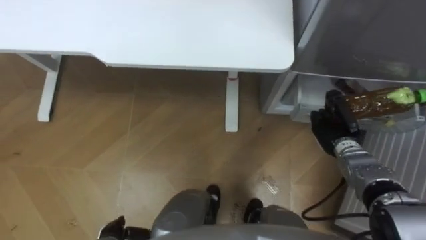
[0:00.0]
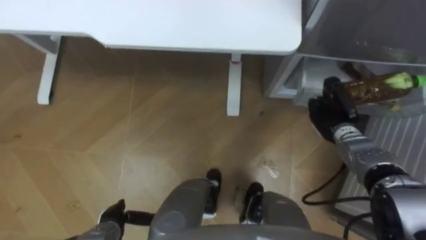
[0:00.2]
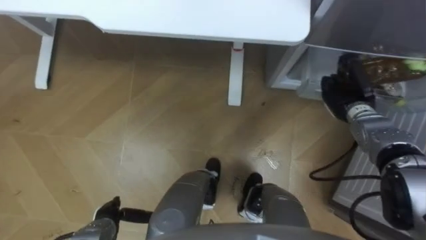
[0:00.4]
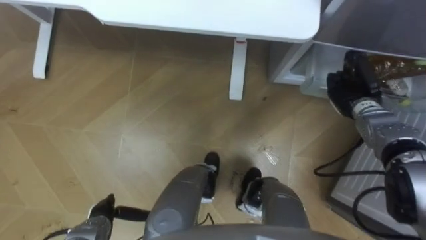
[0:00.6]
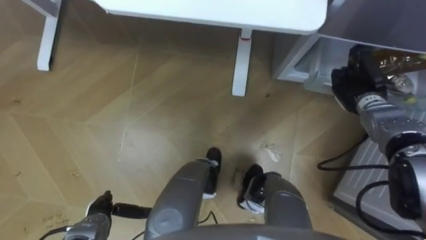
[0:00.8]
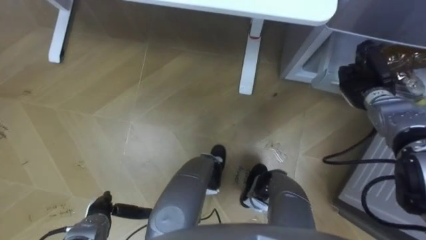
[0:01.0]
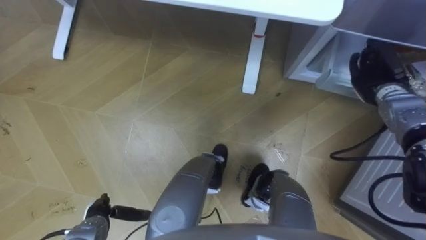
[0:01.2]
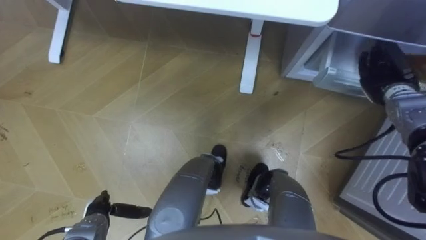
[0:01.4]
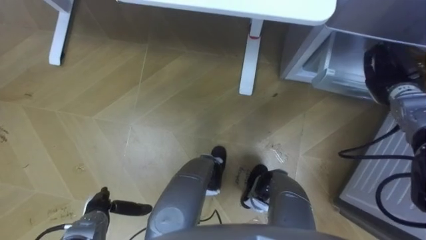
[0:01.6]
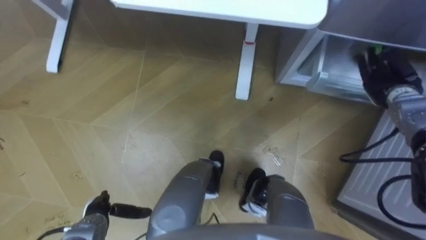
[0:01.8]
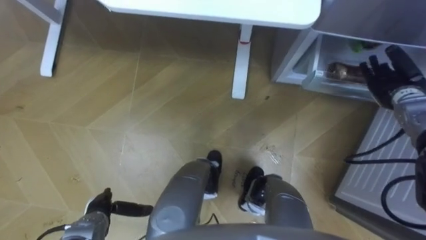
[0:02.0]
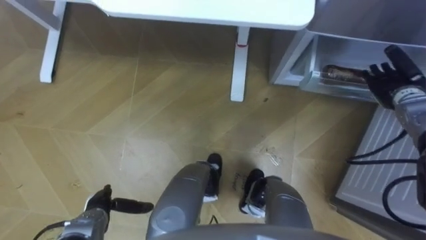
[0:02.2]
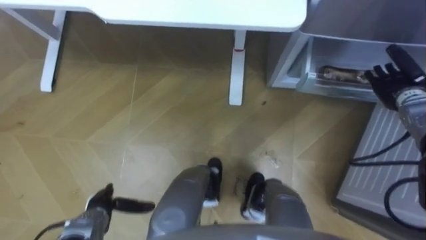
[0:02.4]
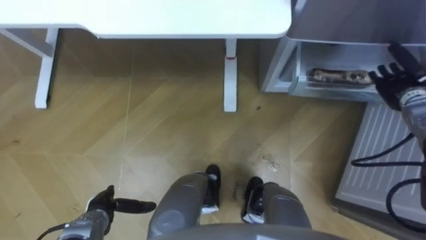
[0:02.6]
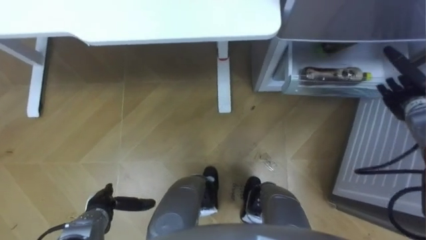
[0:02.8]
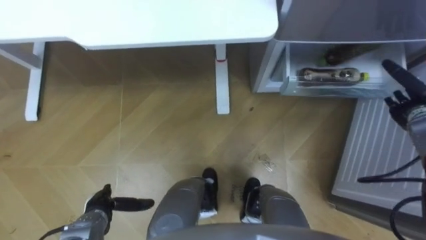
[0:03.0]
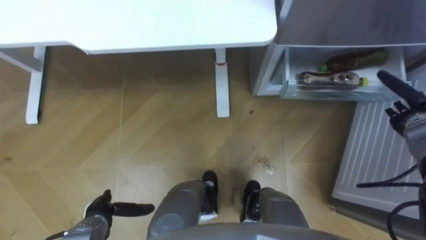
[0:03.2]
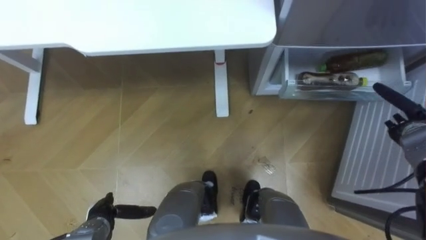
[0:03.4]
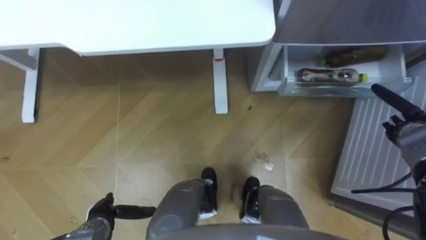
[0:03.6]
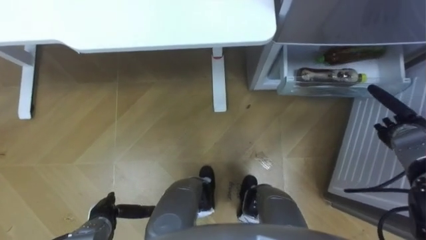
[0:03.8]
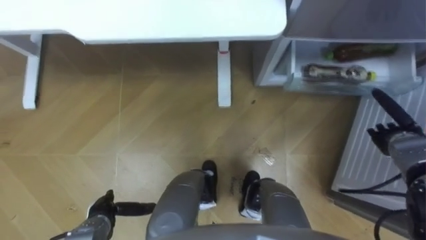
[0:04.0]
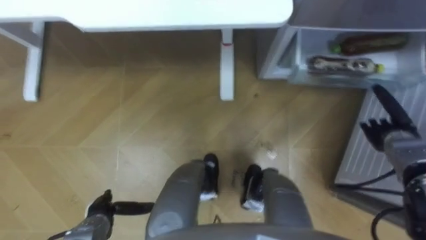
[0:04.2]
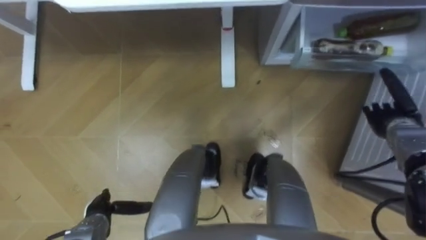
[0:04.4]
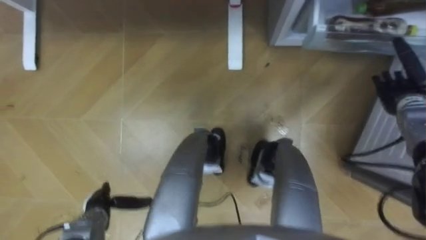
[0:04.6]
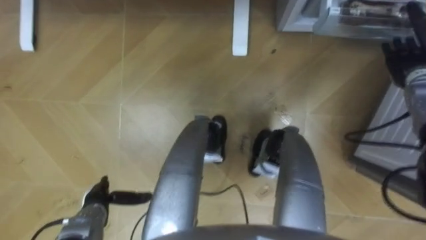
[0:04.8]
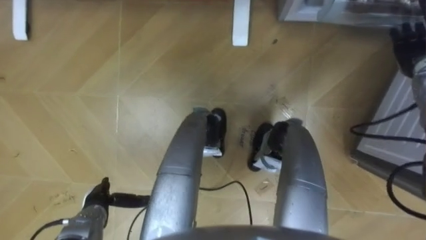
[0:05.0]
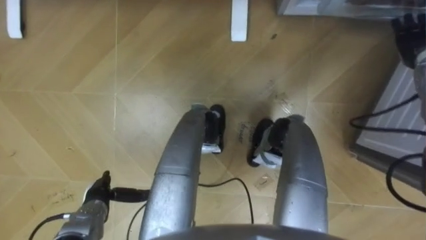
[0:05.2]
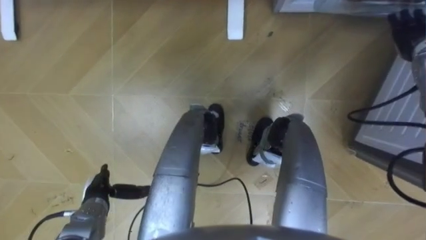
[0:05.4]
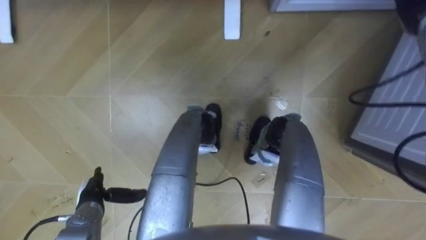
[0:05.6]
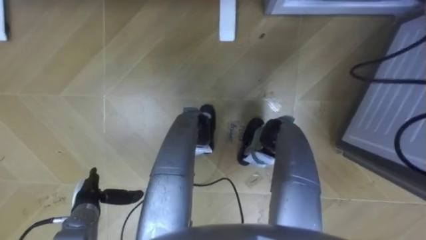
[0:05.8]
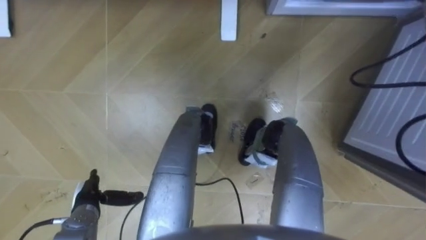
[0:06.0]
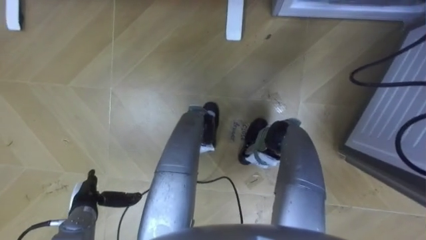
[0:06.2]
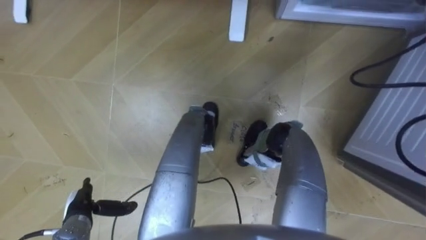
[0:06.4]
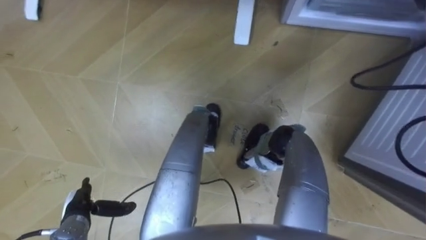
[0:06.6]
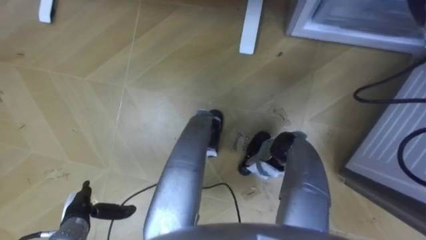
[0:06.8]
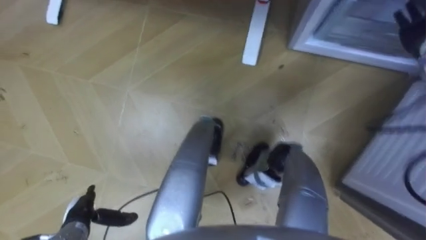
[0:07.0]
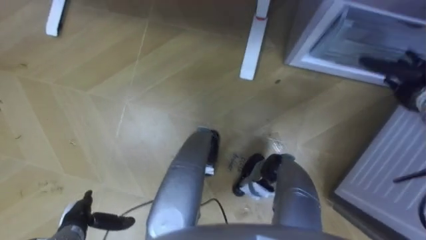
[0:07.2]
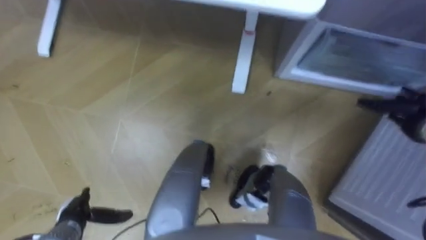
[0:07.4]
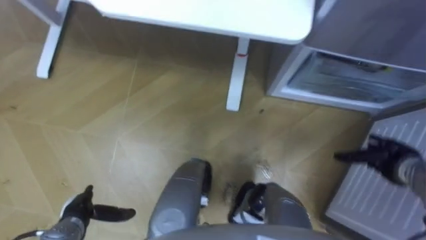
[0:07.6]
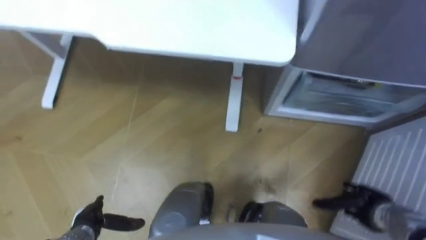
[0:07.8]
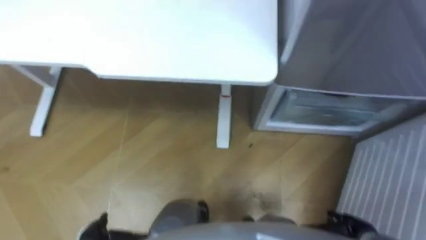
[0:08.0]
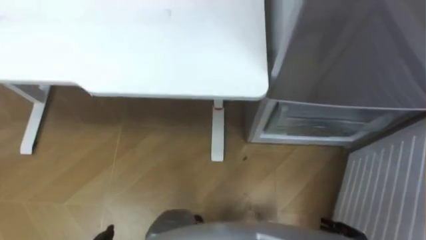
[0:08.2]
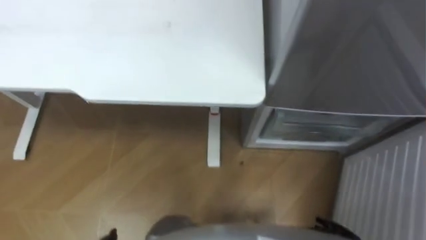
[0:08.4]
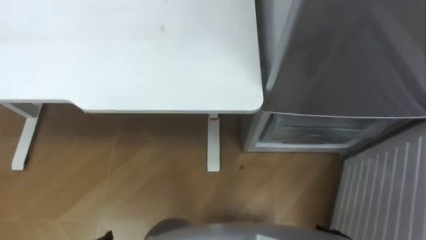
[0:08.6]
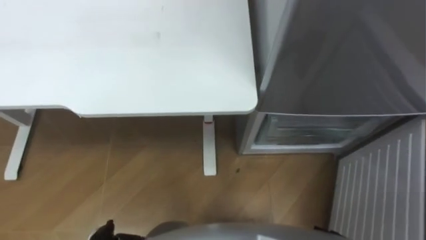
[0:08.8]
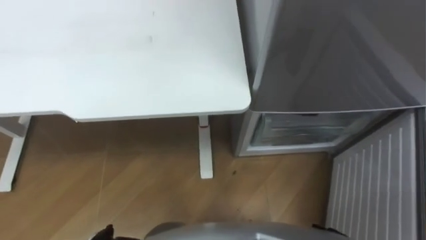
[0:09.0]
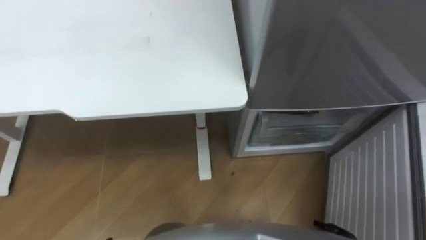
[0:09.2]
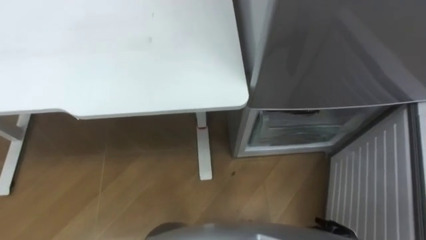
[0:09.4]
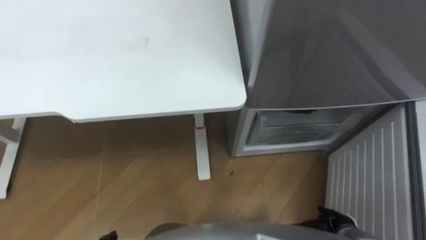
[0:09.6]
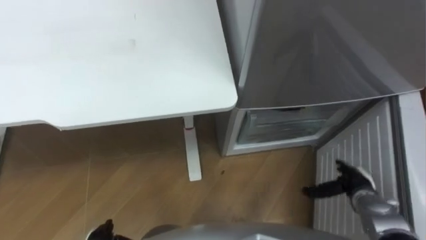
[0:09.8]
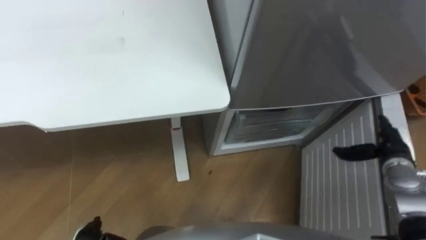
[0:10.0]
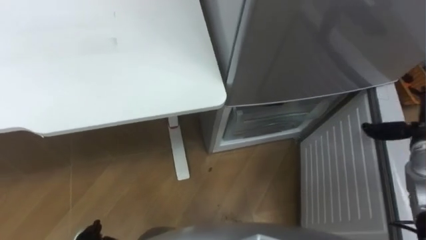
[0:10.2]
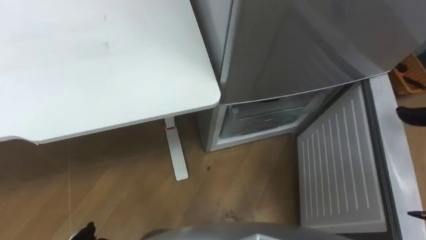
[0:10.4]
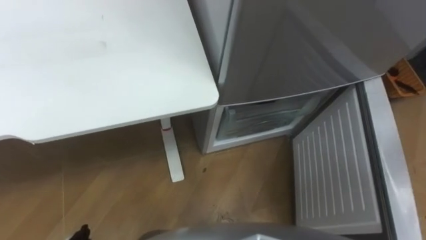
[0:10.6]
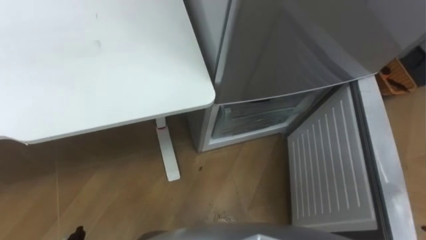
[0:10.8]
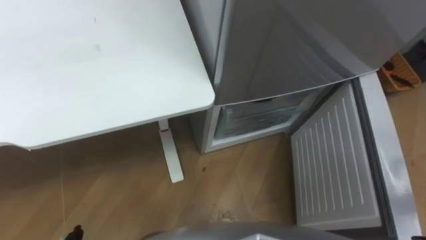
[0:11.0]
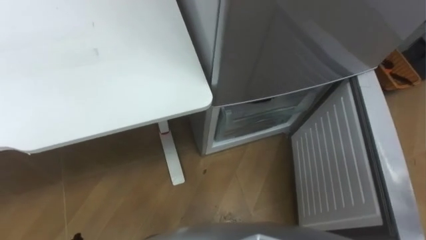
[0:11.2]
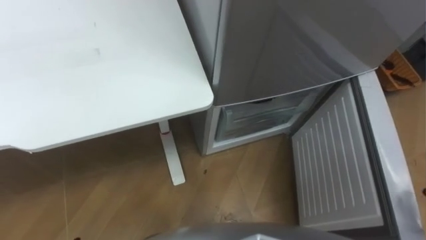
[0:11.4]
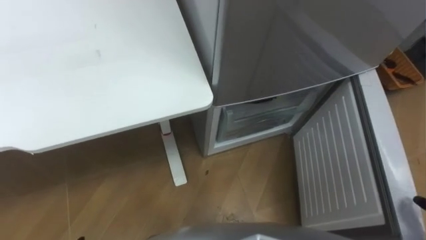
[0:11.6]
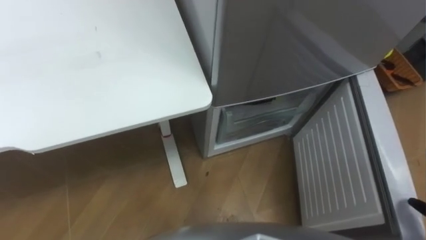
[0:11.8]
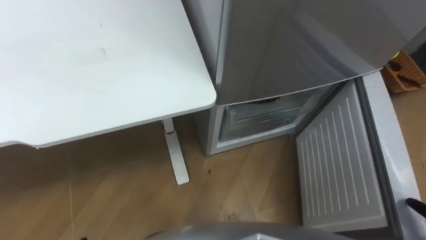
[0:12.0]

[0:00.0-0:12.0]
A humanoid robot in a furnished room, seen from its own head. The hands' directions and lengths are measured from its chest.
Task of the whole recording: Place the drink on the table on the bottom shelf of the refrigerator, then close the drawer and the refrigerator door.
0:00.0 to 0:01.6: The right hand moves upward, to the right and forward, some 15 cm, and opens its fingers.
0:01.6 to 0:03.0: The right hand ends up roughly 5 cm from where it was, and opens its fingers.
0:03.0 to 0:04.4: The right hand changes place by some 5 cm.

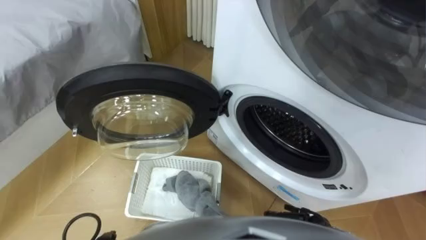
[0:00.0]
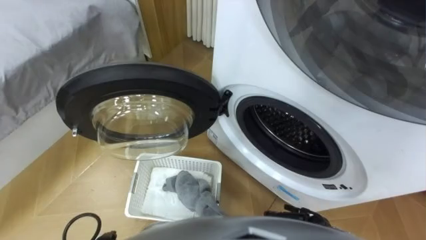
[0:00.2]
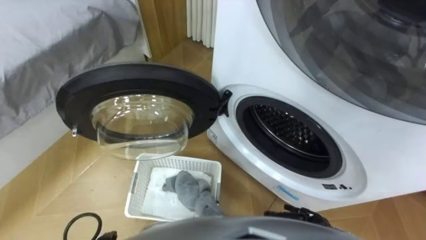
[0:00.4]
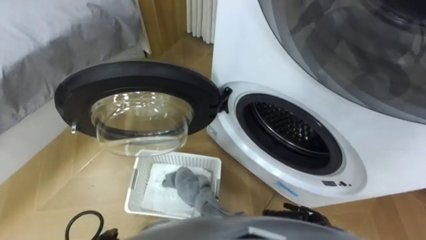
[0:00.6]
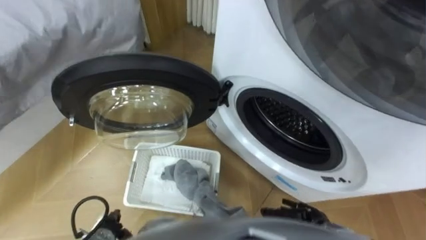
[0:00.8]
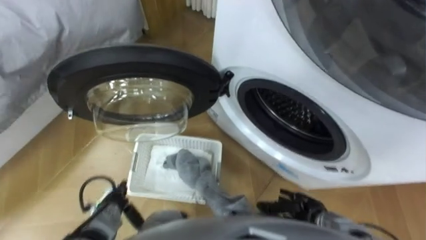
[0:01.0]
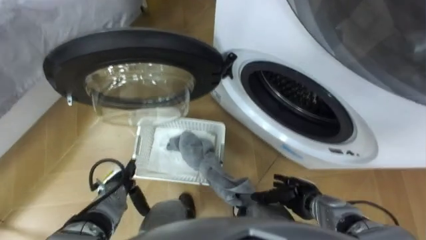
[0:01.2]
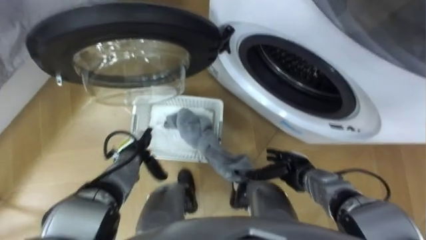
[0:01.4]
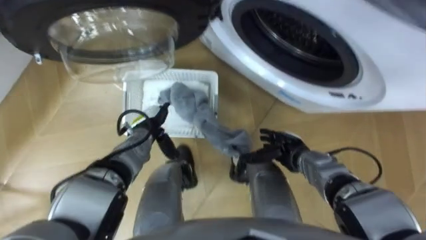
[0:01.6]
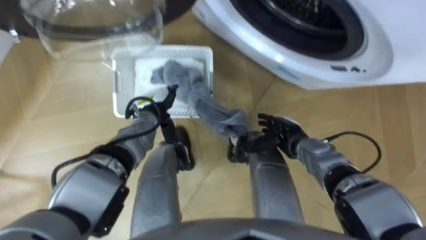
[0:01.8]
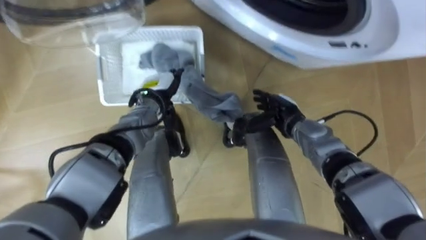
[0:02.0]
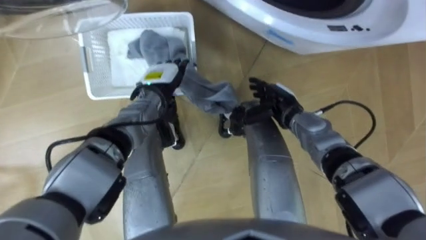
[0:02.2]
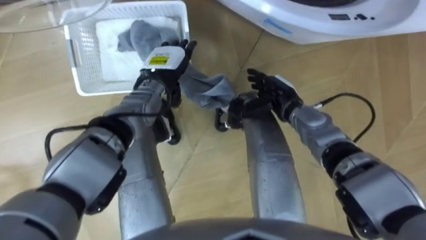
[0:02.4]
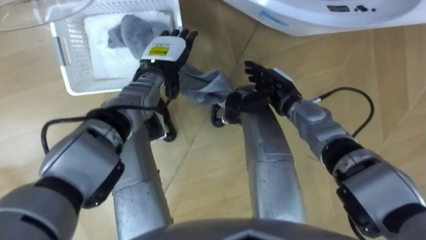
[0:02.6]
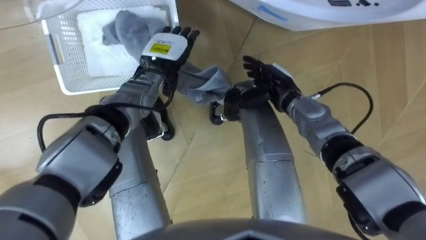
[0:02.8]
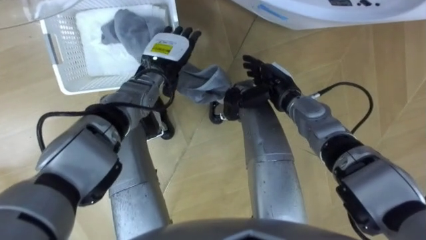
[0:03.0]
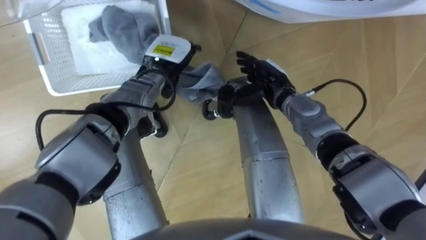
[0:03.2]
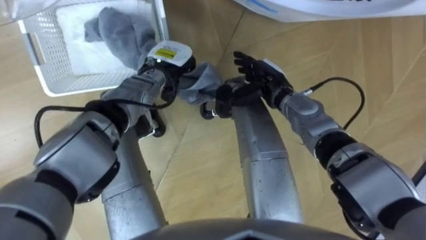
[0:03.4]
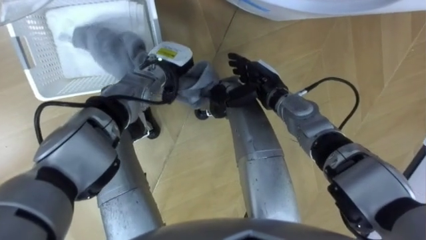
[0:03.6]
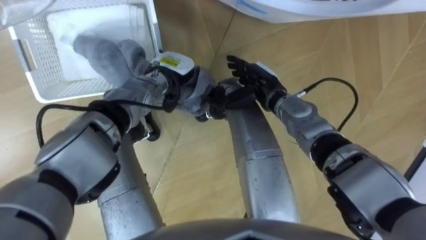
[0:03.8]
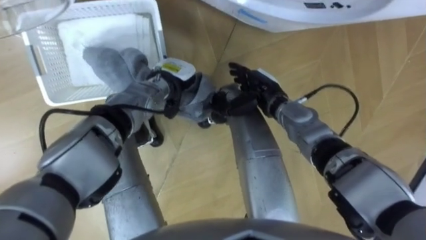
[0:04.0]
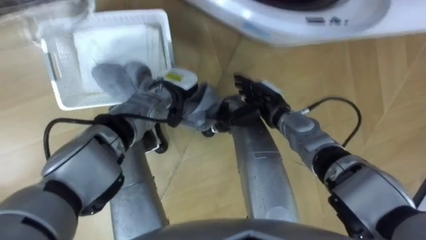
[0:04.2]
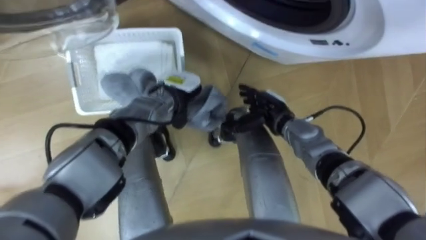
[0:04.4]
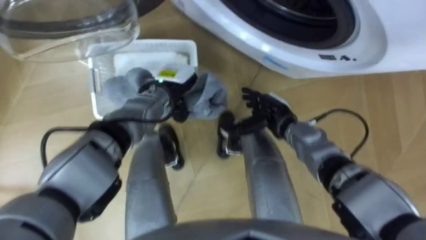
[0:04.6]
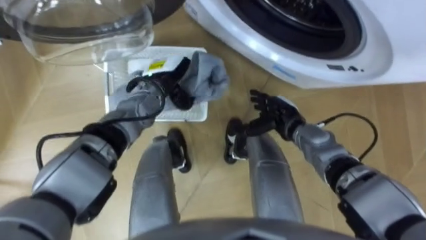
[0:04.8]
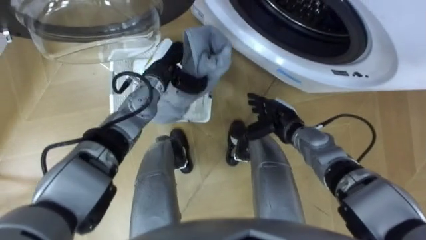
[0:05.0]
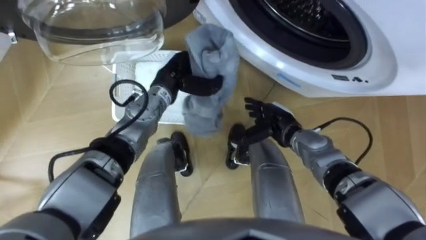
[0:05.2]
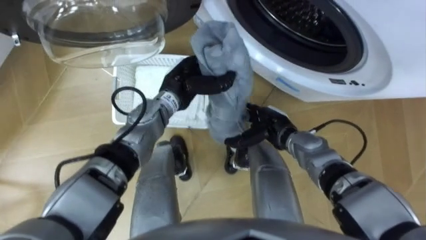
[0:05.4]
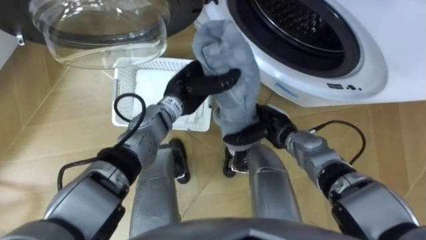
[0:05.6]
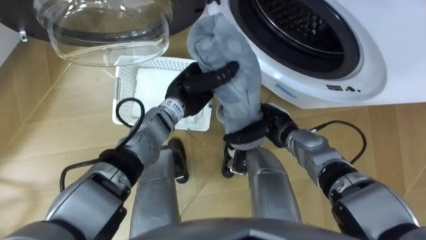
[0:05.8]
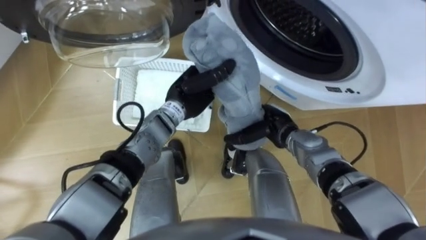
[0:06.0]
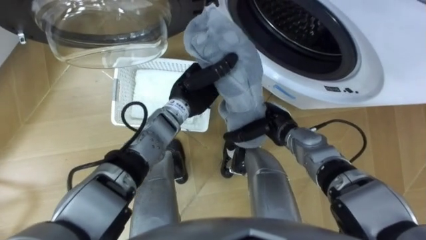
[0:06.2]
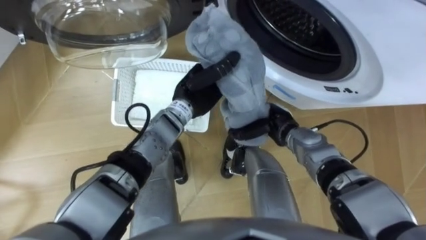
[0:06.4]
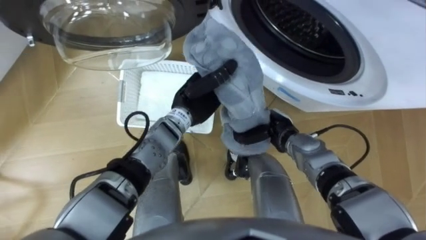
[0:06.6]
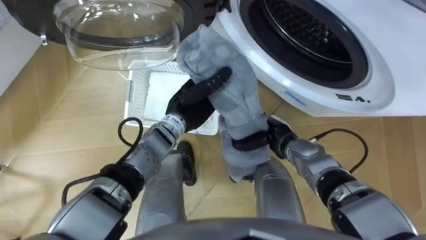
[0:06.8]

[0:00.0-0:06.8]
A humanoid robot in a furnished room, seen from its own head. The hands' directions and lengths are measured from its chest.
Task of the whole recording: Take the towel from the basket and put it into the washing machine.
0:01.4 to 0:02.8: The left hand goes approximately 25 cm forward, upward and to the right. The right hand is displaced forward and upward by approximately 20 cm.
0:02.8 to 0:04.0: The left hand ends up some 5 cm from where it was, and closes its fingers.
0:04.0 to 0:05.4: The right hand is displaced backward and downward by approximately 10 cm.
0:05.4 to 0:06.8: The right hand closes up.
